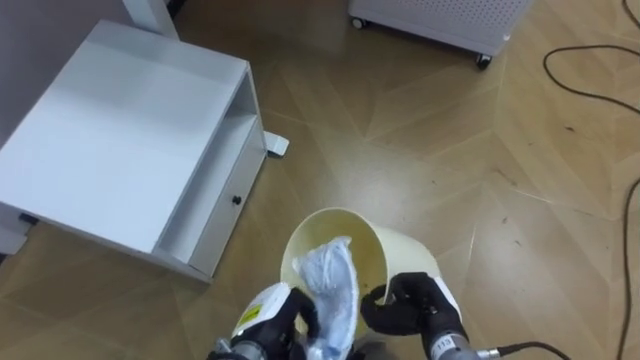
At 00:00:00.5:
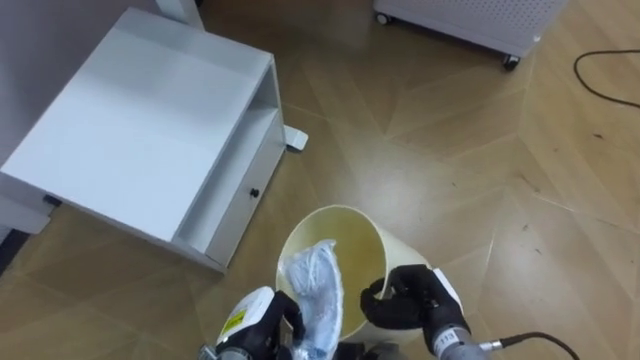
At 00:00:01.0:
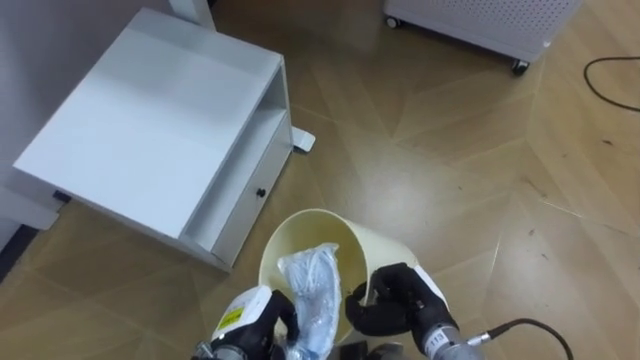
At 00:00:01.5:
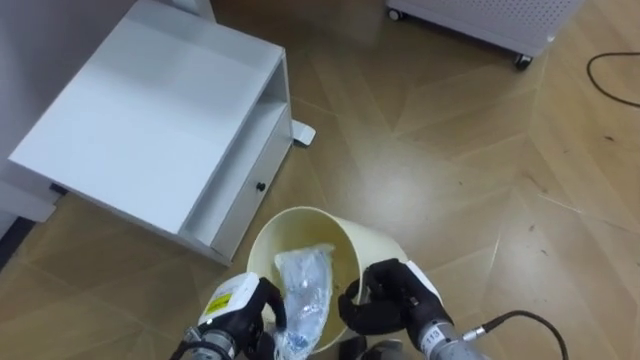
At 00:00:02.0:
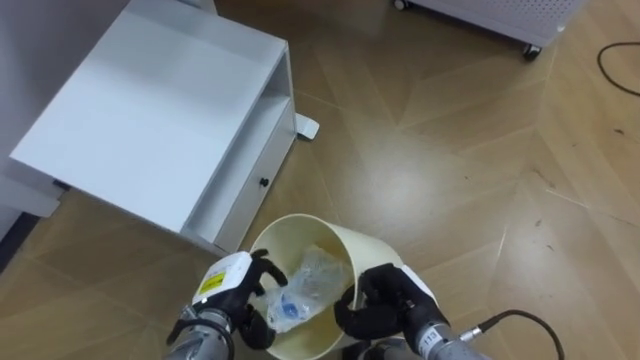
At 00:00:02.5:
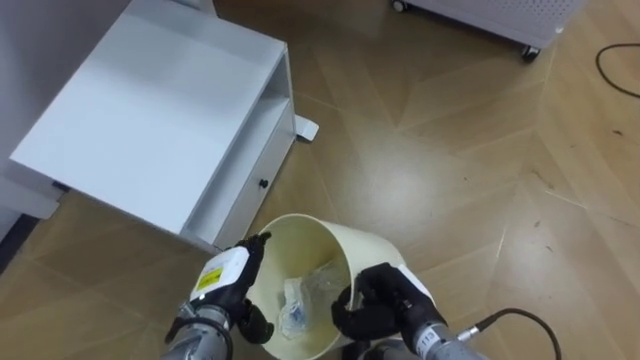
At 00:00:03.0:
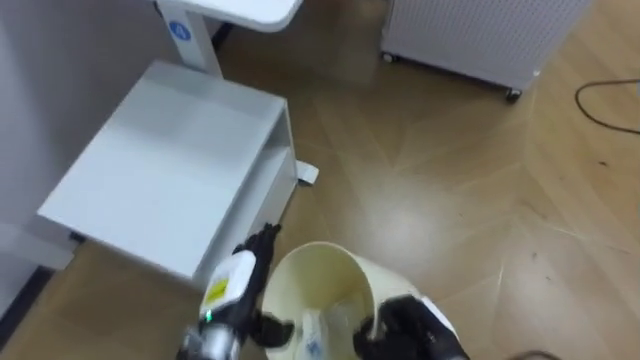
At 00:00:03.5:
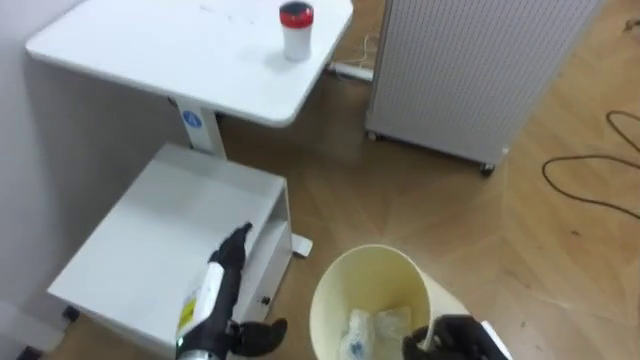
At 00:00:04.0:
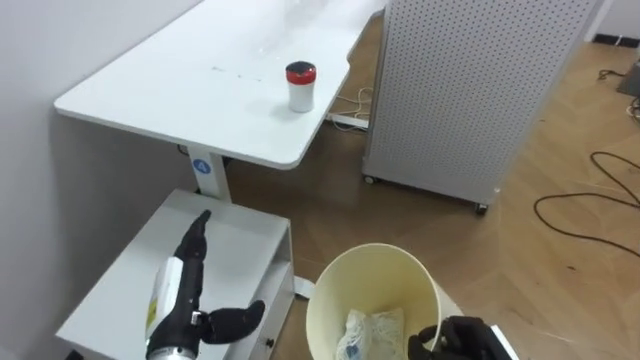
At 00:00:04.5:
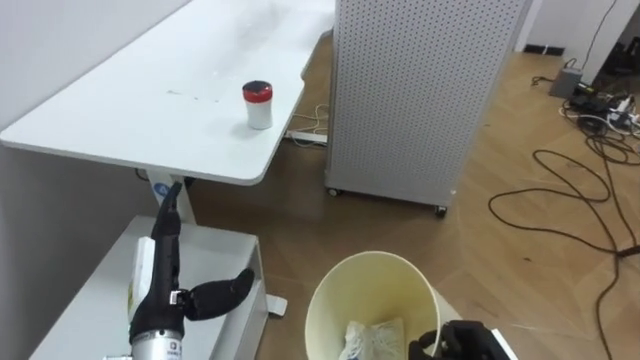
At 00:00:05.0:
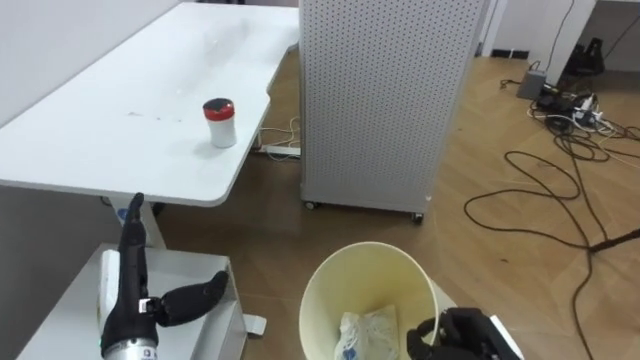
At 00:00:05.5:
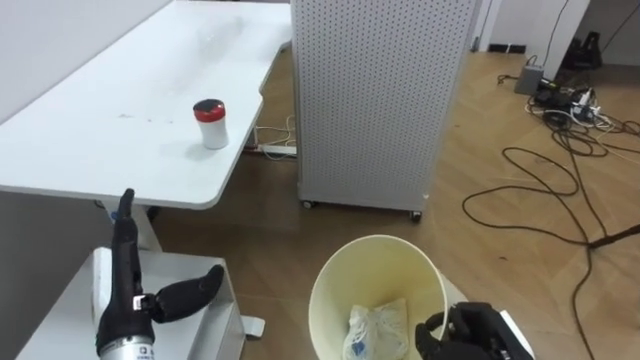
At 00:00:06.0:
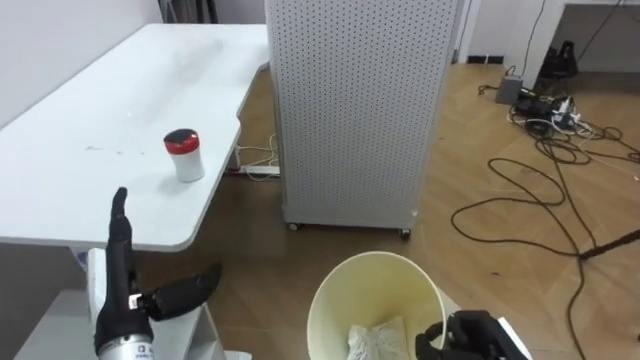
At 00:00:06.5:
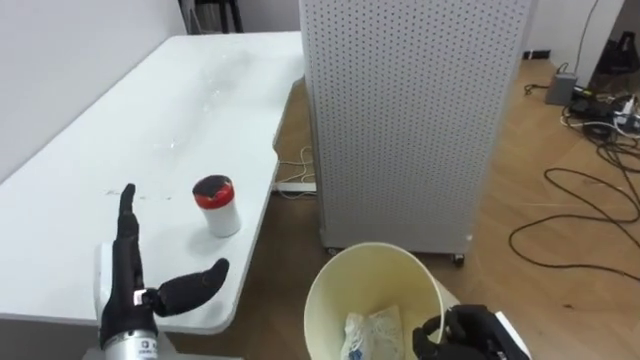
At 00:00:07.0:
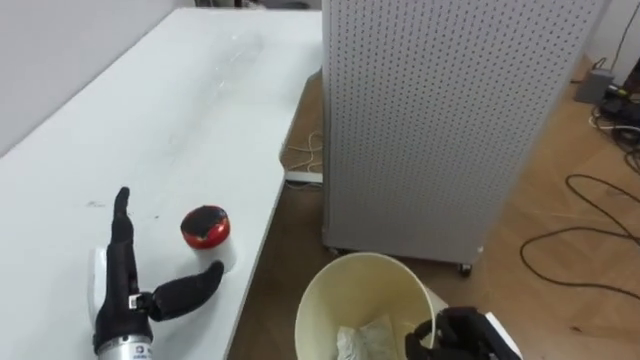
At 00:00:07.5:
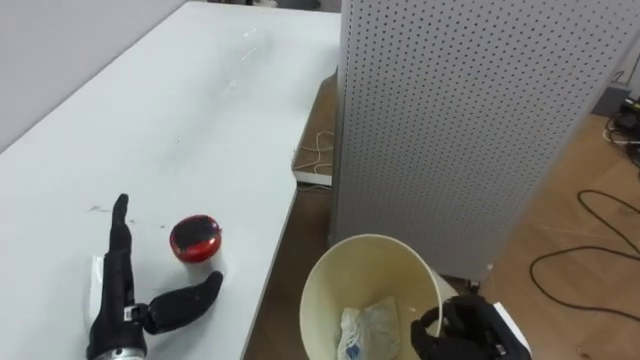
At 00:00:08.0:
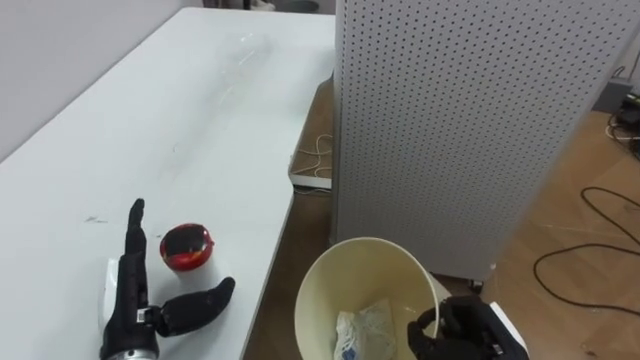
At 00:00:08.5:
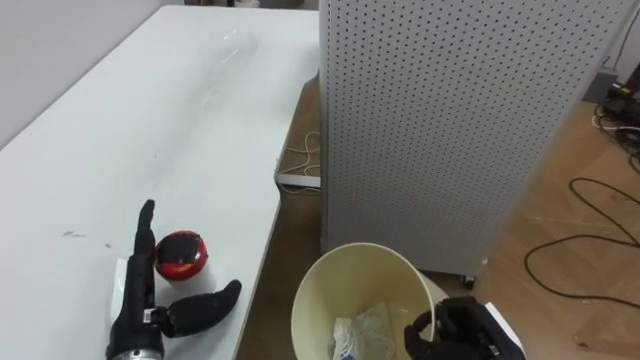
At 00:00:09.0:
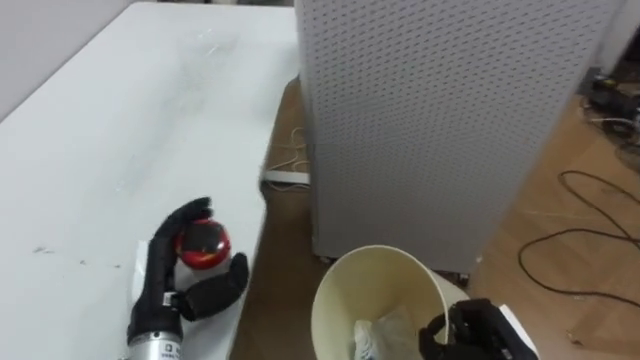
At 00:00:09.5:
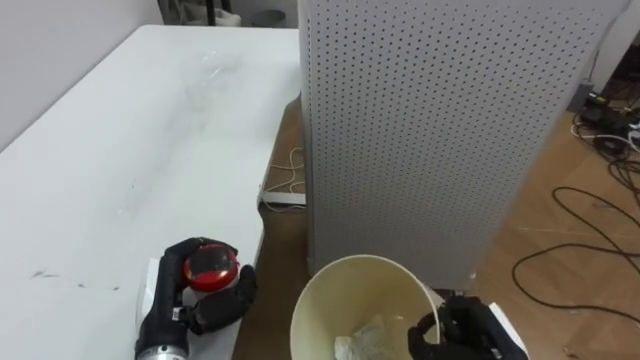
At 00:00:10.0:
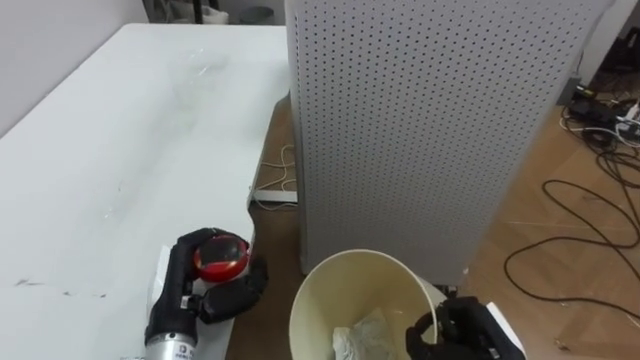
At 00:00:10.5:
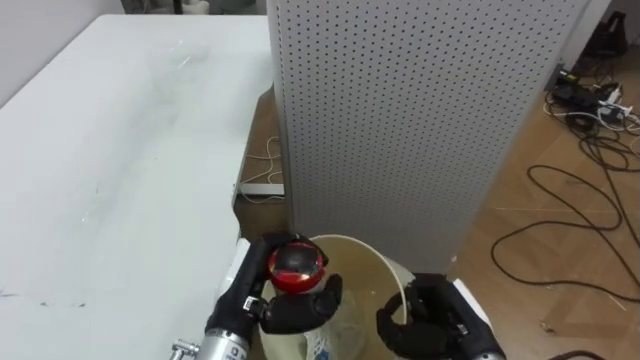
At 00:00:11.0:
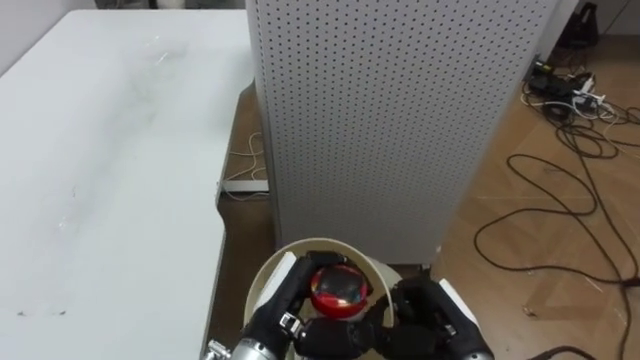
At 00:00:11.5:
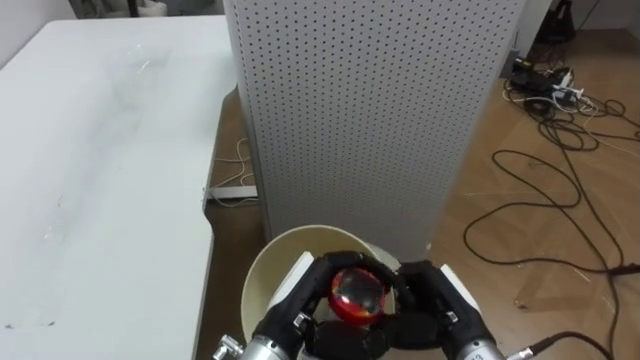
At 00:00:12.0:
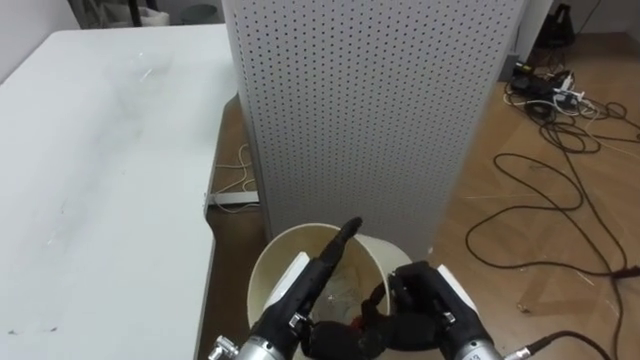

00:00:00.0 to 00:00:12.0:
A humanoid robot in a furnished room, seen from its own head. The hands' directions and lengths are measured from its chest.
Task of the whole recording: Pick up the light blue package, the candy box, and the dark blue package separately, and put them into the trash can held in your right hand.
00:00:00.0 to 00:00:02.0: The left hand is displaced to the left by about 5 cm, and opens up.
00:00:02.0 to 00:00:04.0: The left hand is displaced backward by about 5 cm.
00:00:04.0 to 00:00:06.0: The robot's body swings approximately 20 degrees to its right. The left hand travels to the left by roughly 5 cm.
00:00:08.0 to 00:00:10.0: The left hand changes place by some 5 cm, and closes.
00:00:10.0 to 00:00:12.0: The right hand shifts about 5 cm to the left. The left hand travels to the right by about 15 cm, and opens.

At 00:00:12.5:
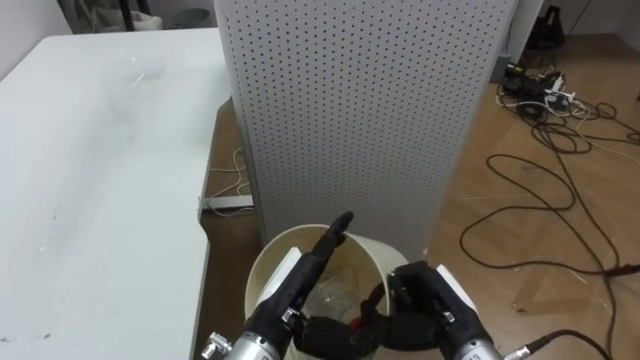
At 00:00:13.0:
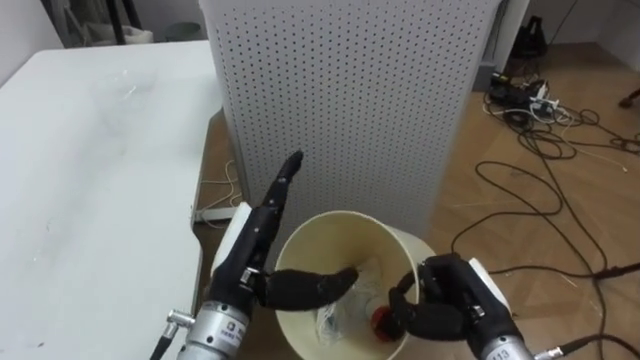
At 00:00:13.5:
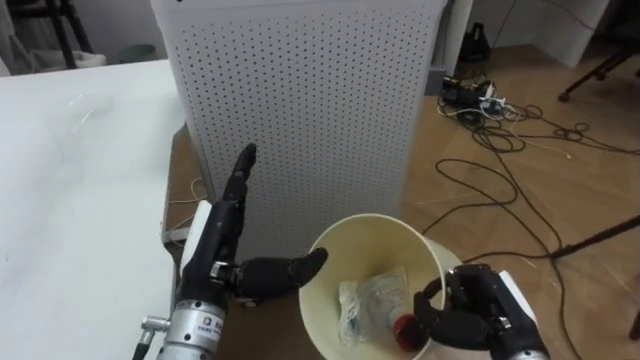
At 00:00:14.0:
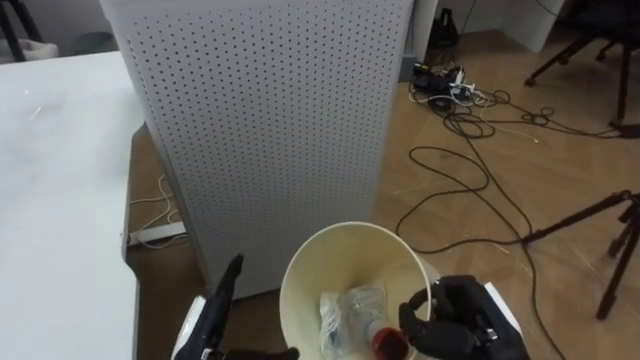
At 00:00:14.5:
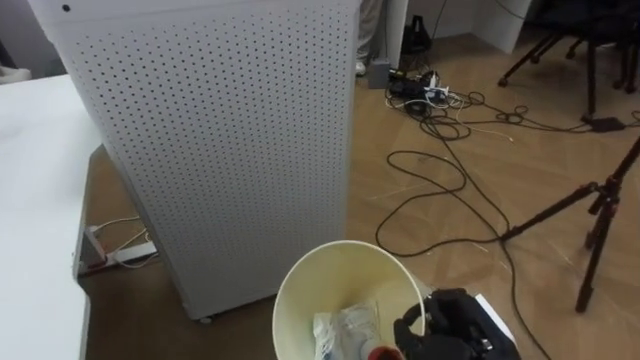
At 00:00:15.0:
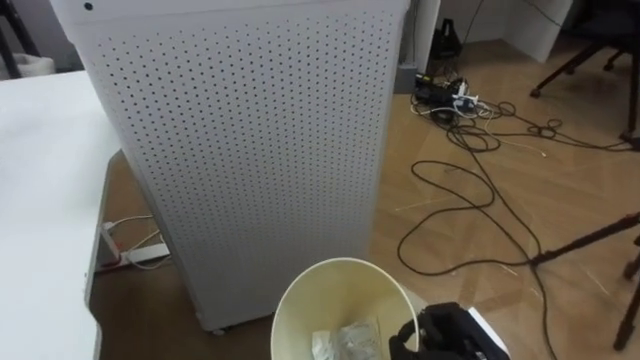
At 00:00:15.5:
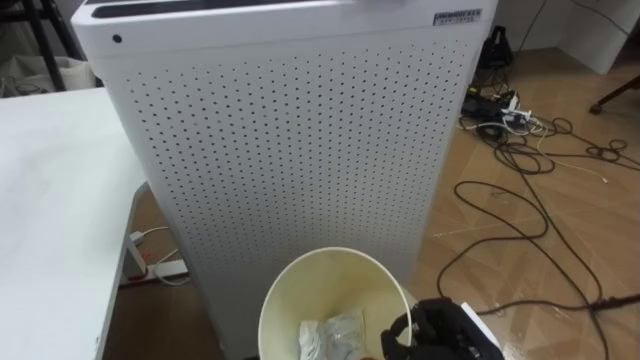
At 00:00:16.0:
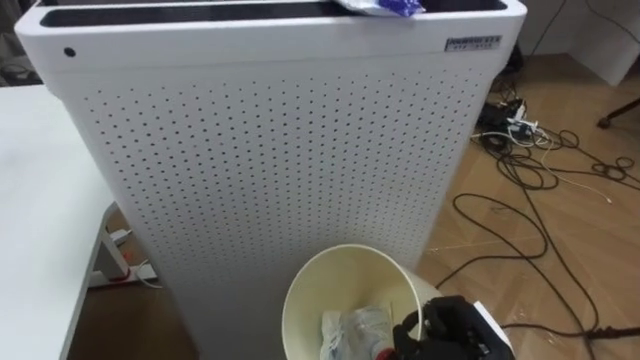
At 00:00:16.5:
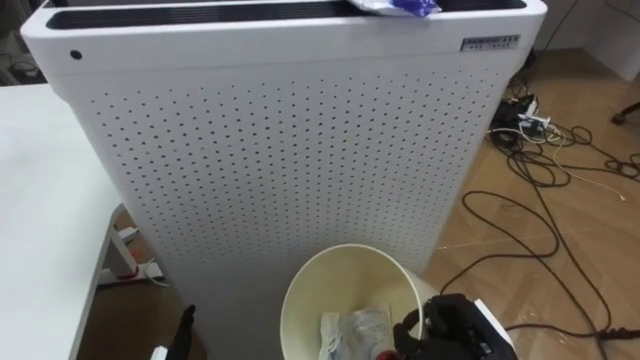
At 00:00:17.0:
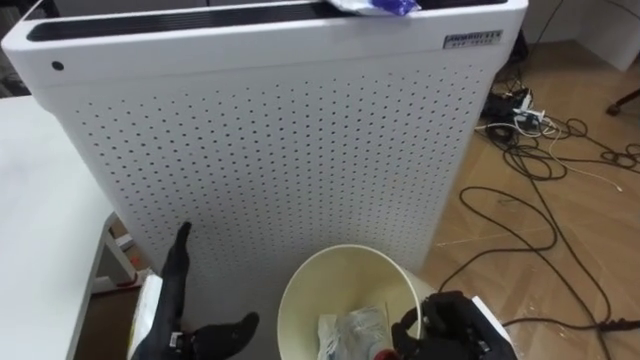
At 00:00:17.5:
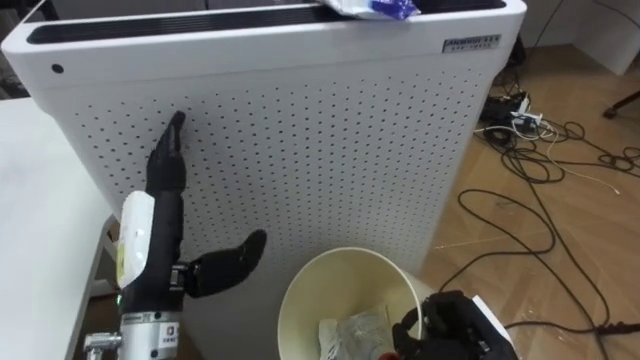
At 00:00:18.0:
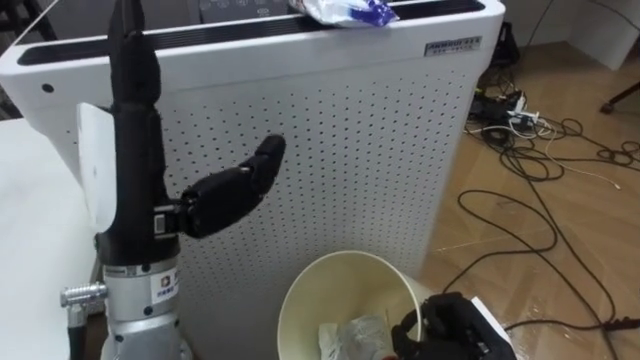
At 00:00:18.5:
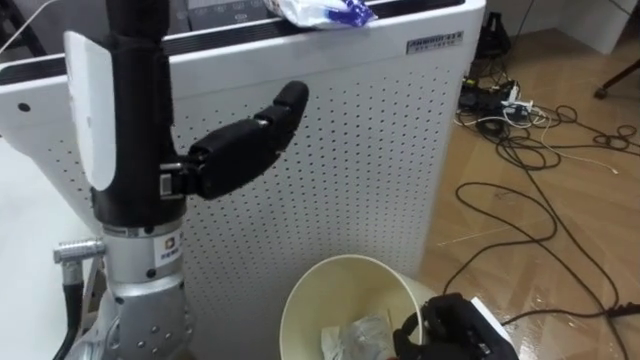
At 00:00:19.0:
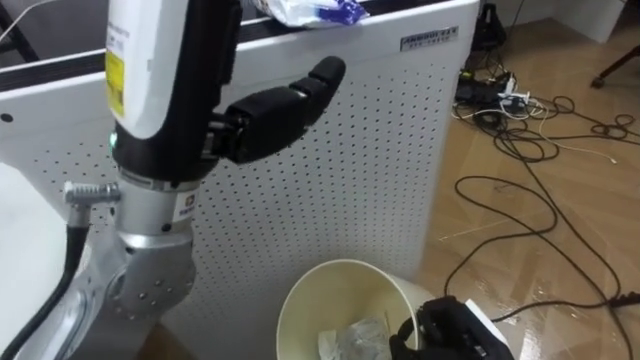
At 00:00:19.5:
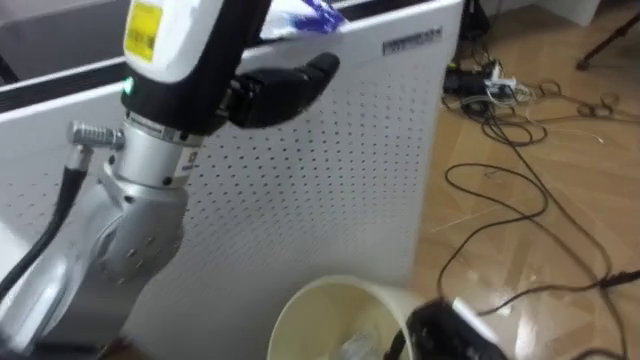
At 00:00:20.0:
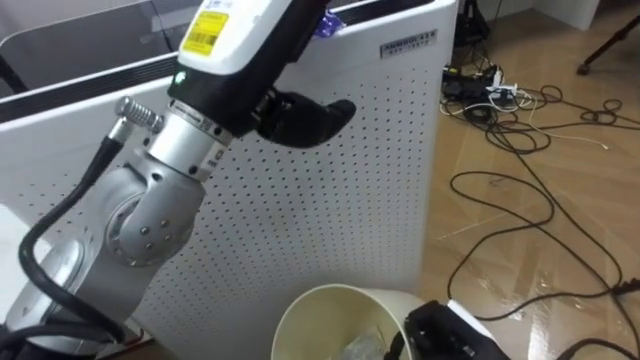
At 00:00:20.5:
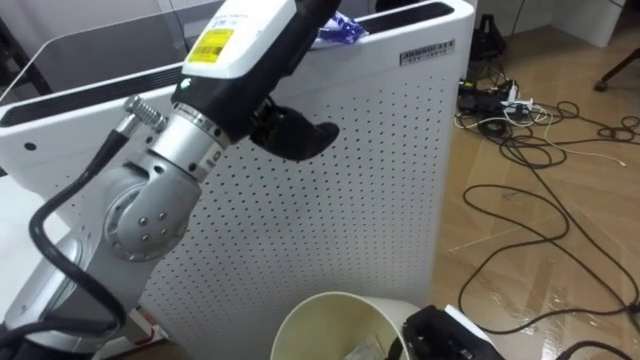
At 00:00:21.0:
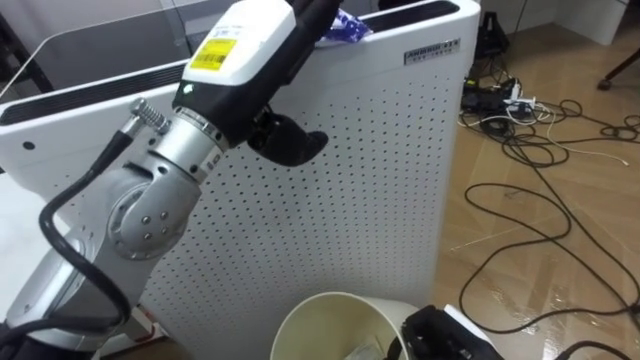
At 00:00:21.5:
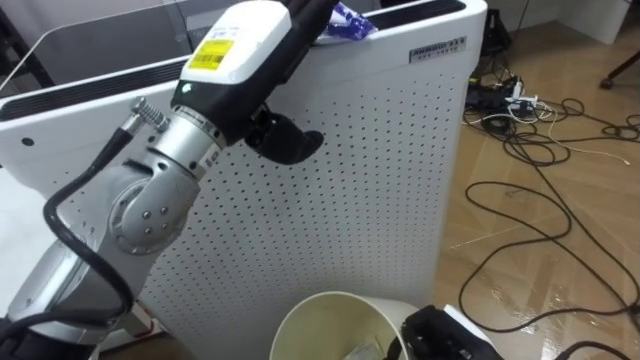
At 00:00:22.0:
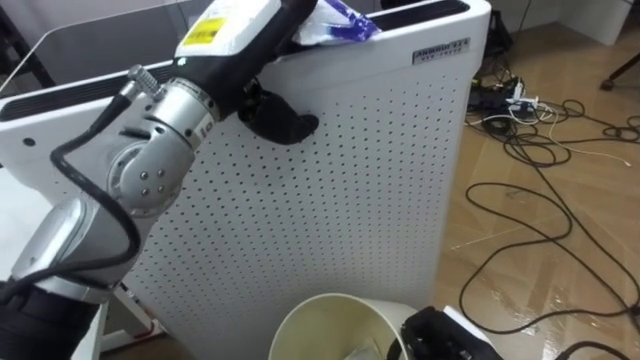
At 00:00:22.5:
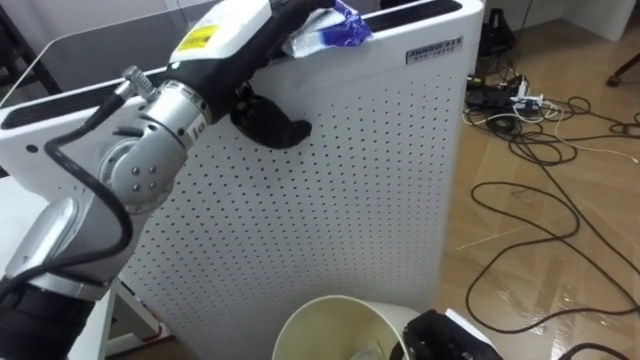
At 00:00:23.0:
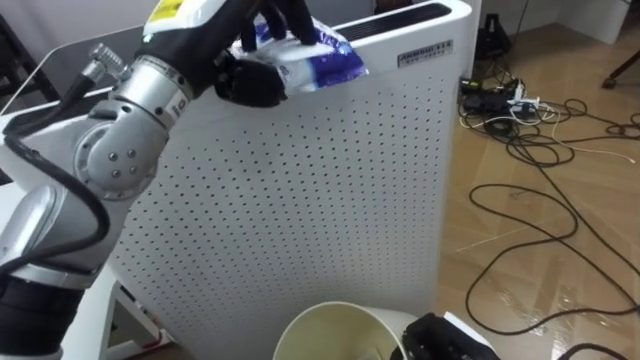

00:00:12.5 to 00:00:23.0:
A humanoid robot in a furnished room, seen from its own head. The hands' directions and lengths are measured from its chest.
Task of the whole recording: Pick up the light blue package, the candy box, and the dark blue package separately, and put them into the trash can held in your right hand.
00:00:12.5 to 00:00:14.5: The robot turns to its right by about 15 degrees. The right hand ends up roughly 5 cm from where it was.
00:00:19.0 to 00:00:21.0: The left hand heads forward, covering some 10 cm.
00:00:21.0 to 00:00:23.0: The left hand moves some 5 cm, and closes up.
